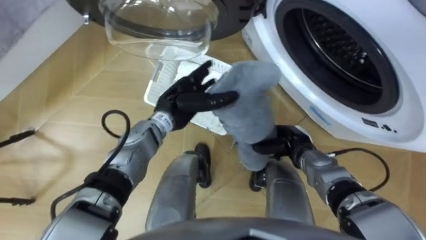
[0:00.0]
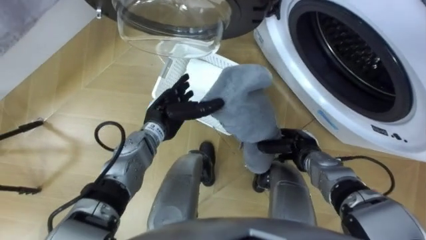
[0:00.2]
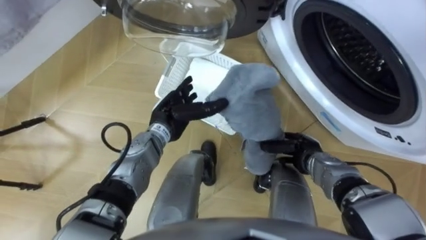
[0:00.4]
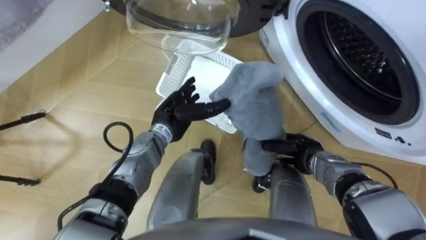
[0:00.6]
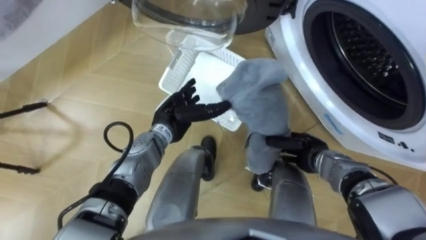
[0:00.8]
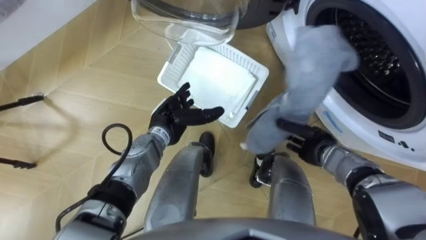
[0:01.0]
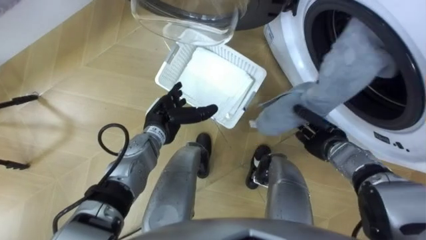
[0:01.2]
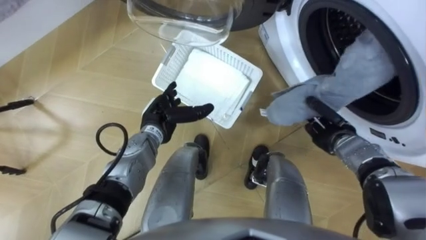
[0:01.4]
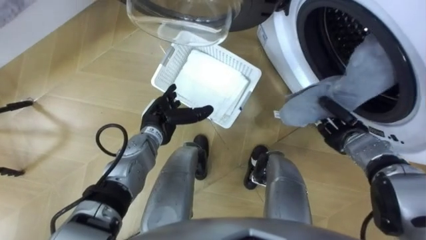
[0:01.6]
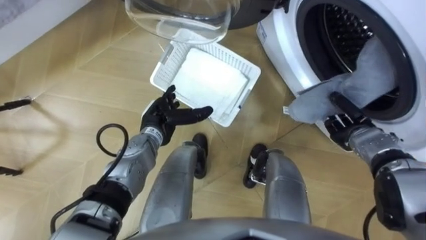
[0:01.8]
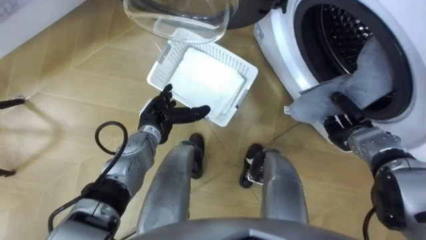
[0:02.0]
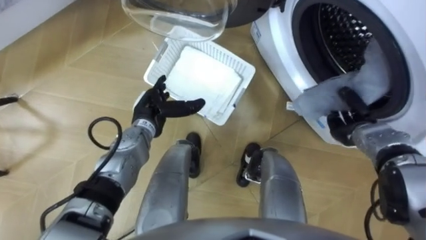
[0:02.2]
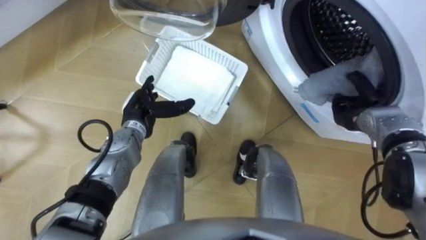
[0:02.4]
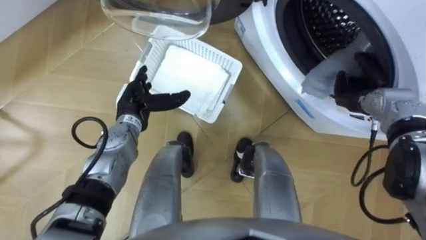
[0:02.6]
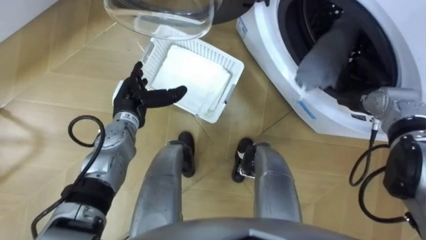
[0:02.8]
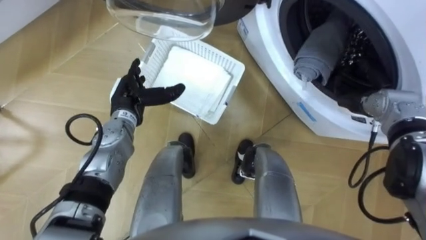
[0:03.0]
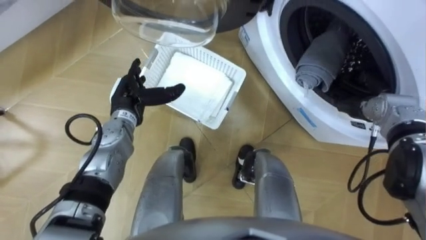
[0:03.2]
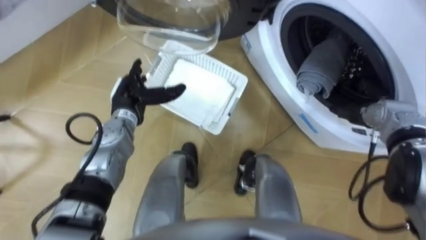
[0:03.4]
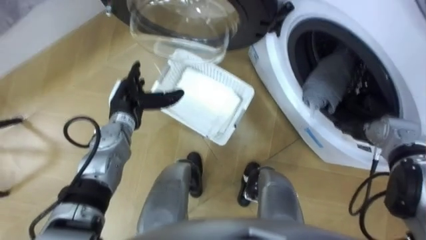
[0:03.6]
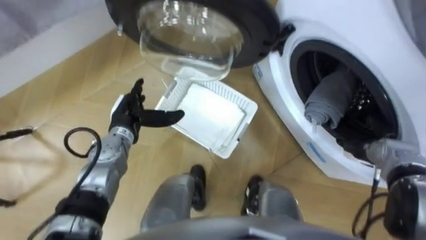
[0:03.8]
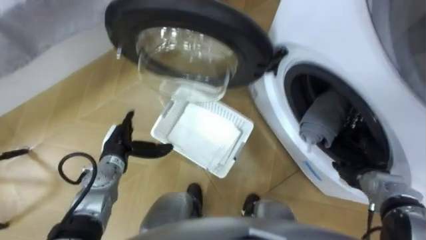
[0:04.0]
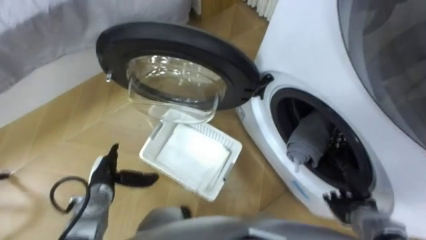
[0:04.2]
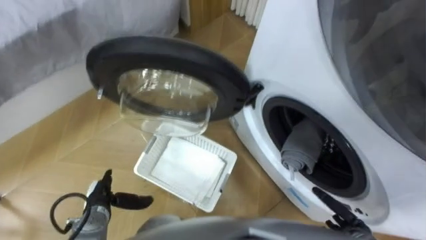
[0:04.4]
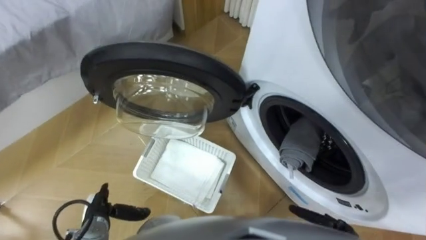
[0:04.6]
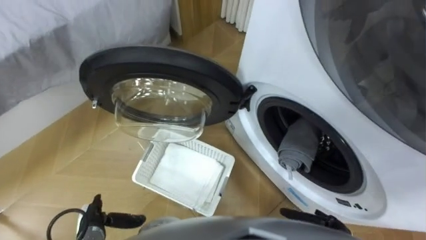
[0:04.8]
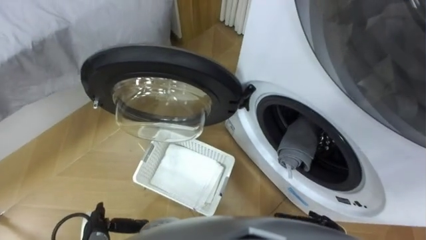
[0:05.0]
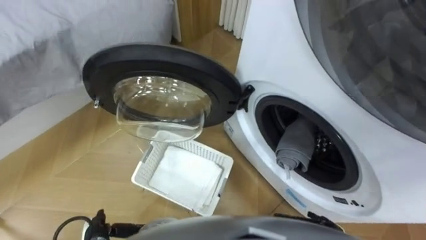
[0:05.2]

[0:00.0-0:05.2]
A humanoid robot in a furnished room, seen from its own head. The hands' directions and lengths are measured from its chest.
Task of the whole recording: Take the towel from the basket and put it into the washing machine.
0:00.0 to 0:01.8: The left hand shifts by approximately 5 cm. Meanwhile the right hand goes roughly 15 cm to the right.
0:01.8 to 0:03.4: The right hand opens its fingers, while the left hand shifts some 5 cm to the left.
0:03.4 to 0:05.2: Both hands move backward and downward, roughly 30 cm.

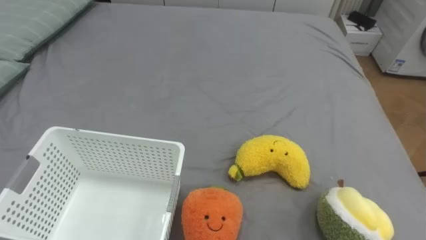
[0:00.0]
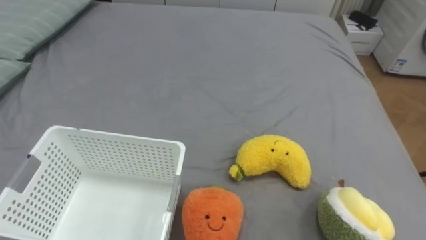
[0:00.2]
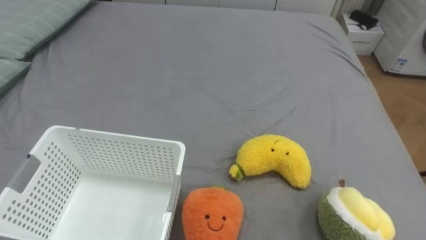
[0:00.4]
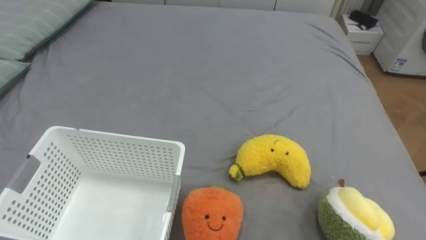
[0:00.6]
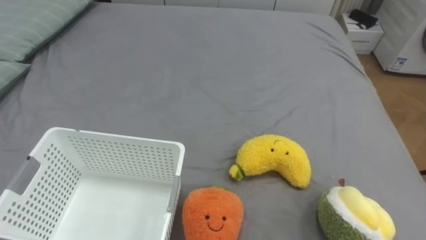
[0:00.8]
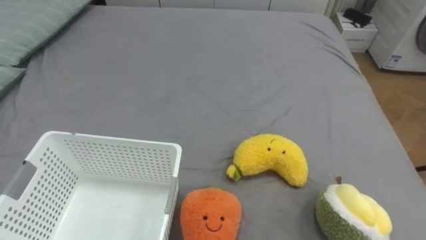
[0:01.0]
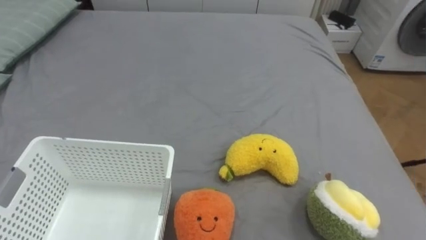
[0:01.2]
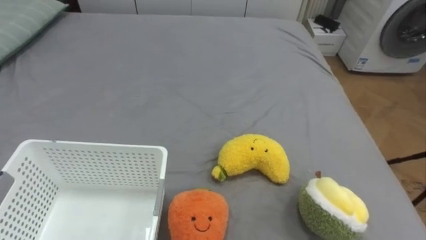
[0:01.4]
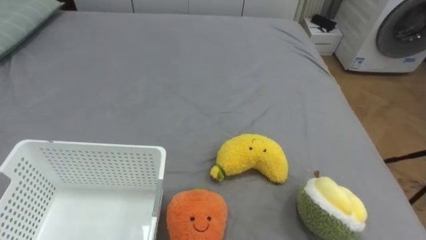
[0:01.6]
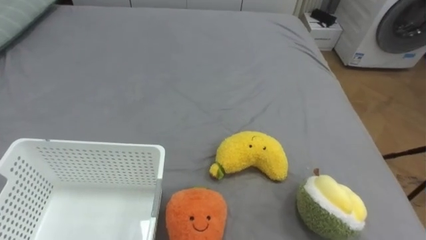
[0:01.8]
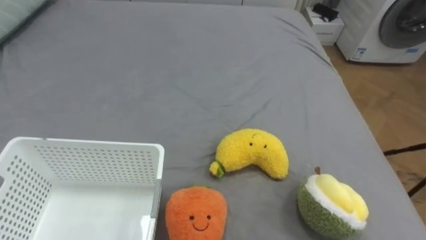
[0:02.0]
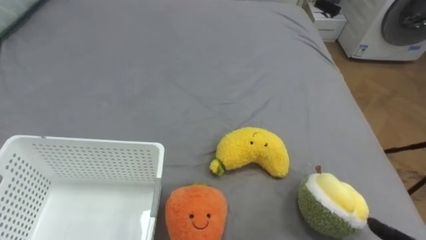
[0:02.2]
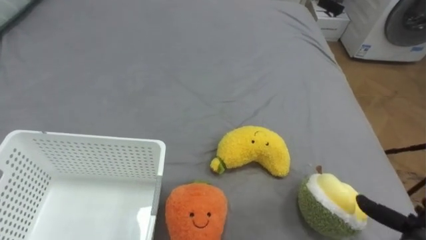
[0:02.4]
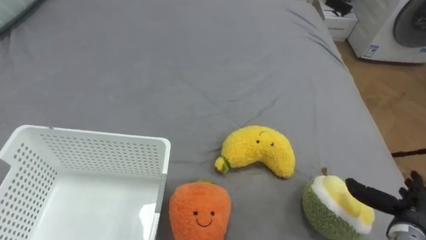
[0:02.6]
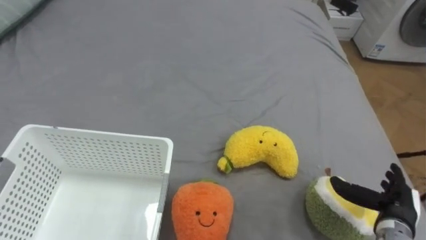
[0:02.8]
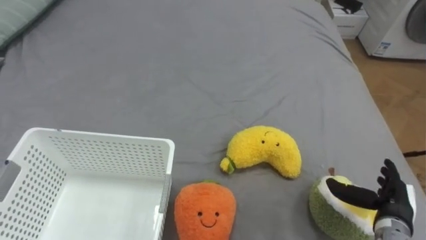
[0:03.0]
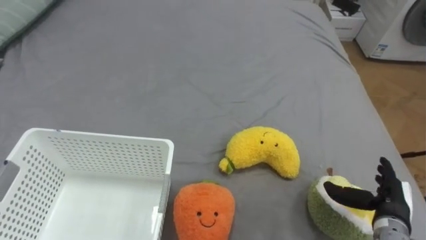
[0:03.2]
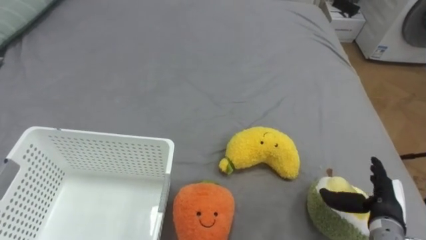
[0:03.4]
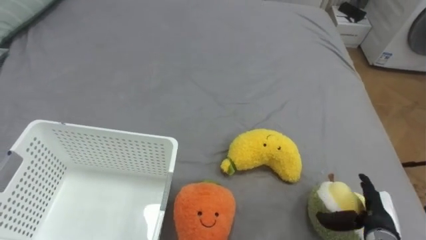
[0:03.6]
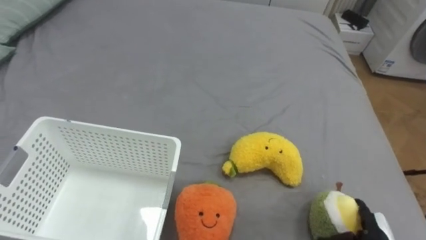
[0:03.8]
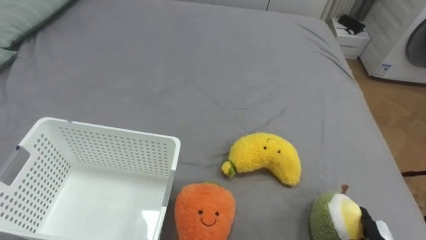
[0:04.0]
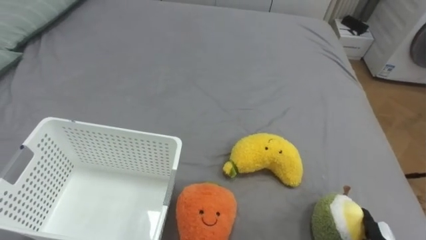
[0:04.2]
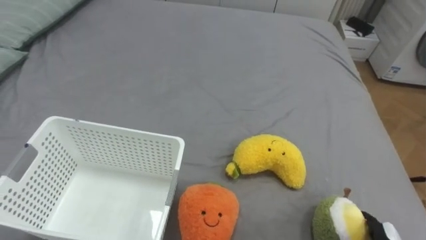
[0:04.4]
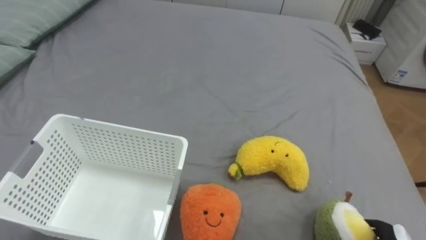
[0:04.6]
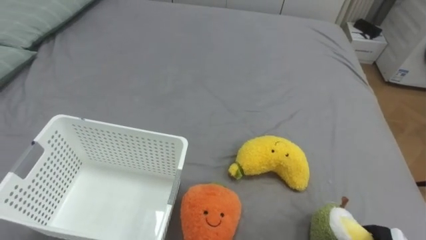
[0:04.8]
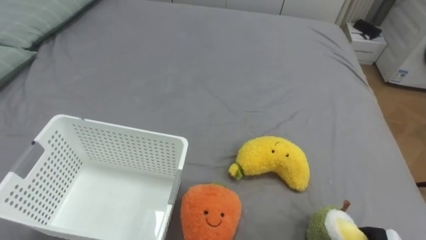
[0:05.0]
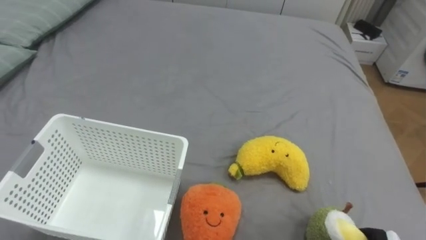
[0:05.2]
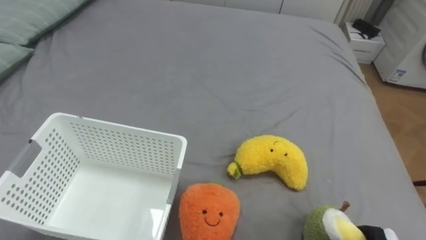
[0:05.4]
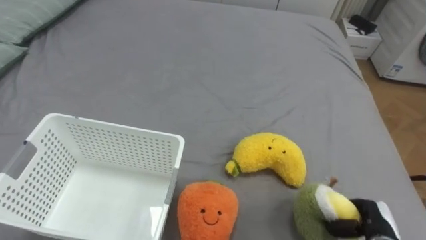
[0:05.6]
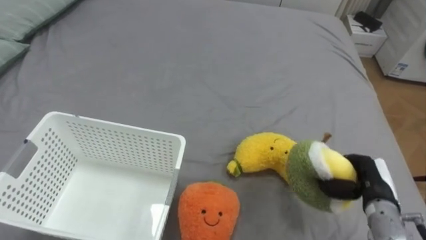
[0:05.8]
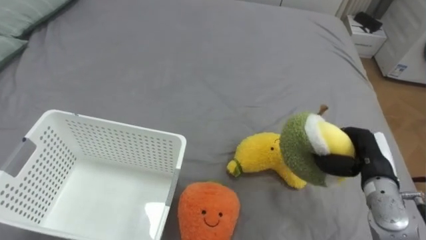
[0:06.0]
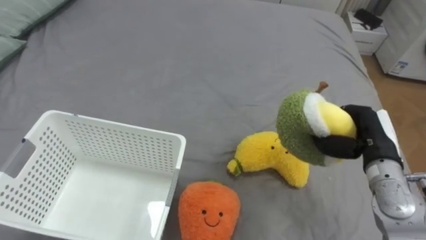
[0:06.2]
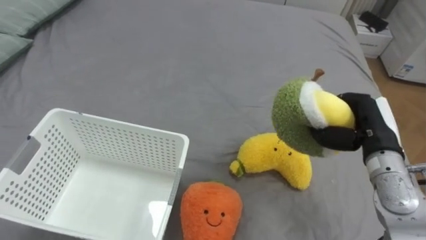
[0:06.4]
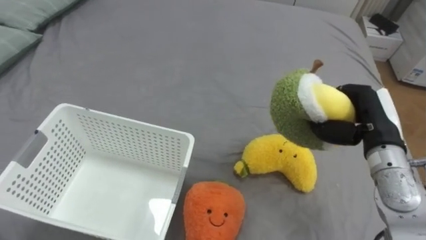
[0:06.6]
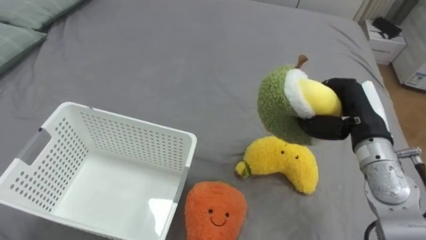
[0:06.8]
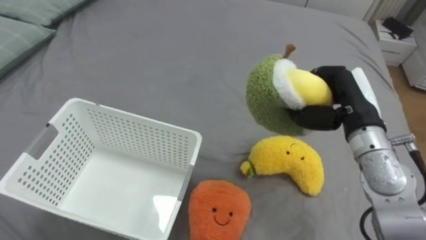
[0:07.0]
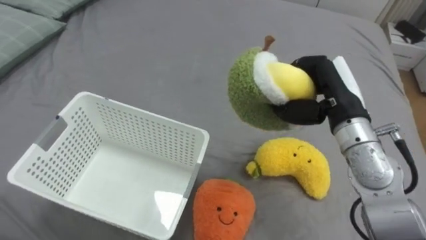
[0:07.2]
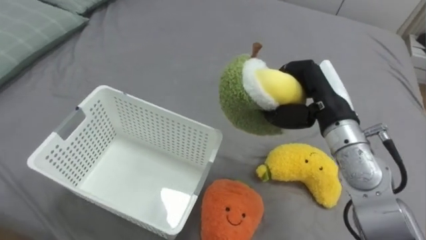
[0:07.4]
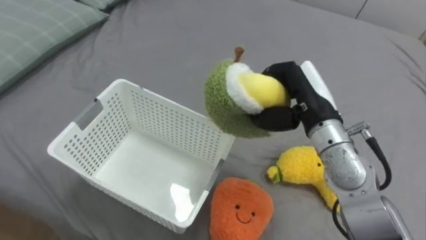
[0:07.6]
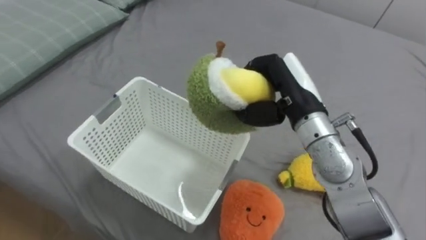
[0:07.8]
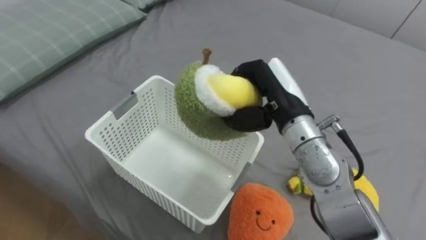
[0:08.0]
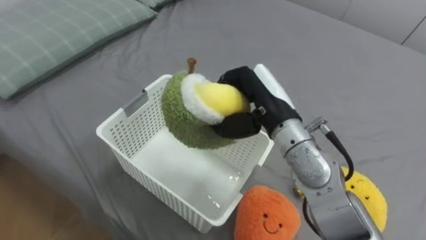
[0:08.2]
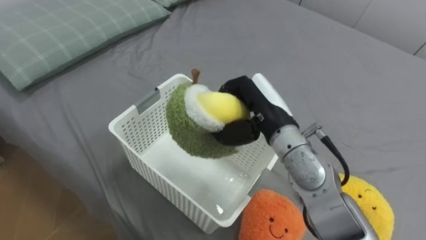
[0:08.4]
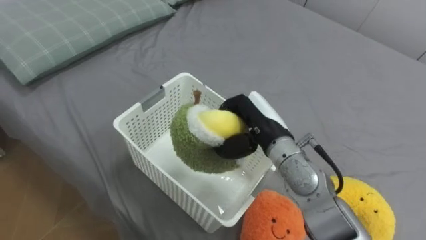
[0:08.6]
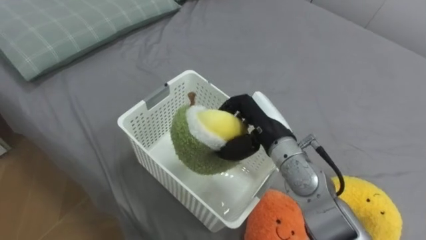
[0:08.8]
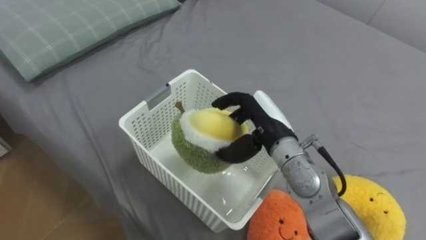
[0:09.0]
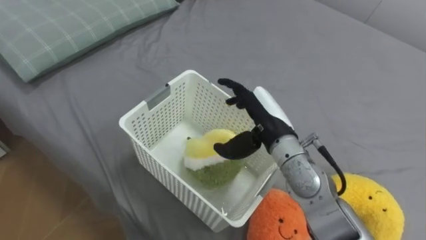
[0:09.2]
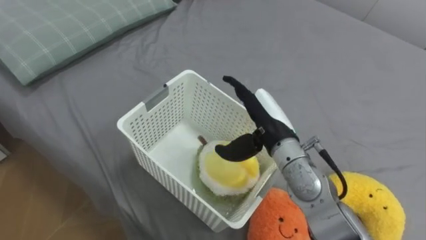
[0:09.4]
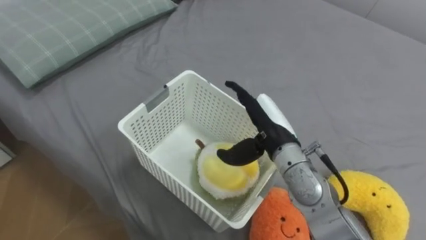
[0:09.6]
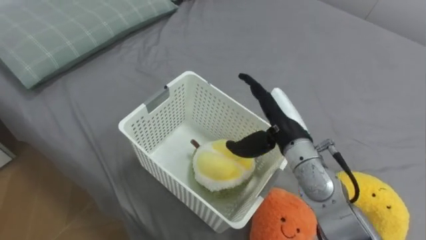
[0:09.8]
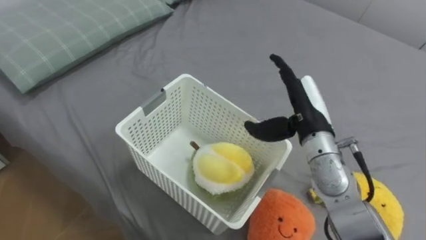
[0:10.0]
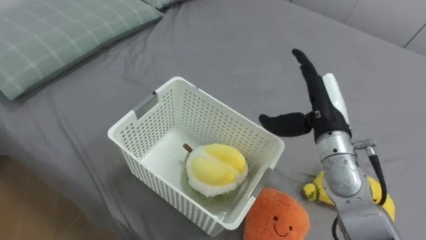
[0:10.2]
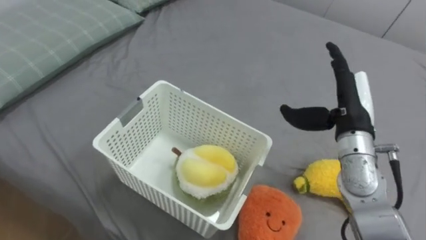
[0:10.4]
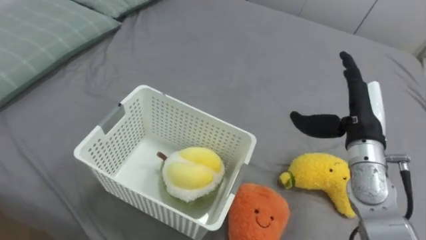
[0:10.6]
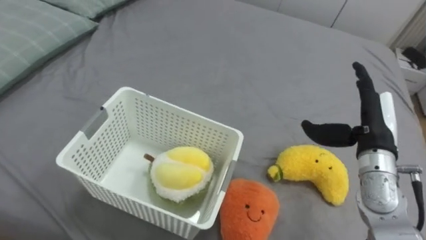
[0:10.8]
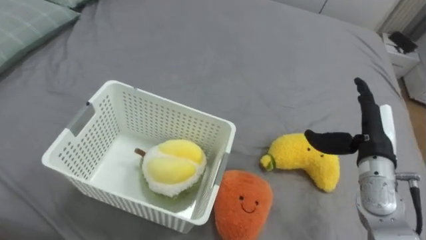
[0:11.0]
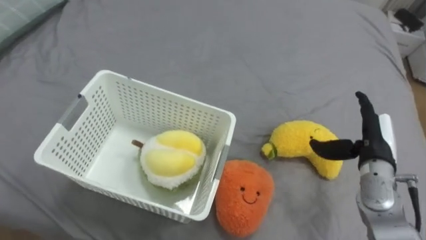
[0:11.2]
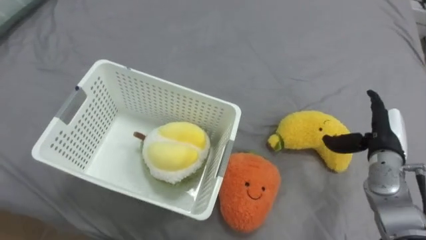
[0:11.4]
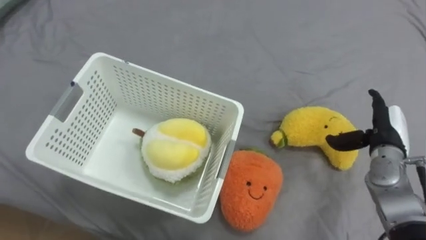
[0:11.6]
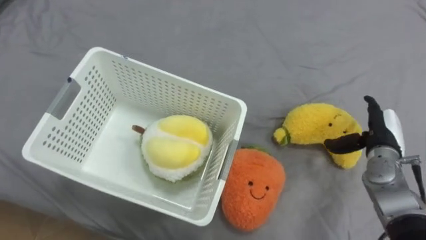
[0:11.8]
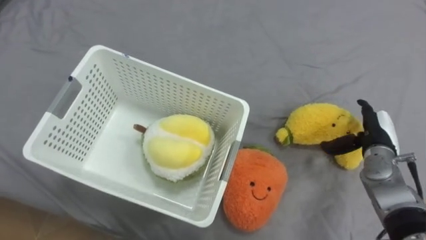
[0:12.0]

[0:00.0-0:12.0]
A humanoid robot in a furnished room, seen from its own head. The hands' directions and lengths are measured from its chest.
Task of the whole recording: Put the toys on the bed into the basket on the left.
0:06.0 to 0:07.6: The right hand moves to the left and upward, roughly 20 cm.
0:07.6 to 0:09.0: The right hand heads to the left and downward, covering some 10 cm, and opens its fingers.
0:09.0 to 0:10.4: The right hand shifts about 15 cm to the right, and opens its fingers.
0:10.4 to 0:12.0: The right hand heads downward and to the right, covering some 15 cm.
